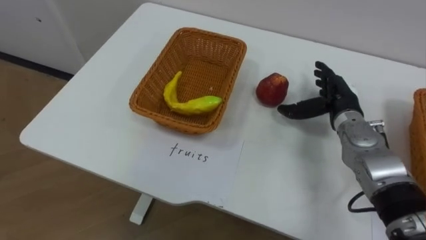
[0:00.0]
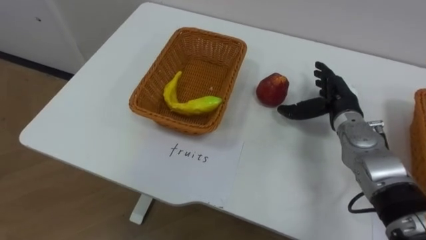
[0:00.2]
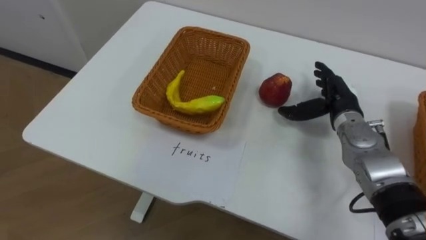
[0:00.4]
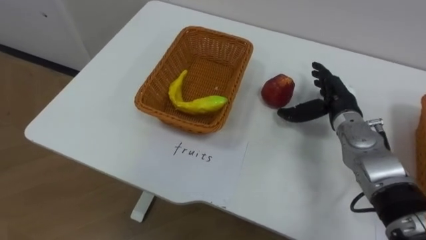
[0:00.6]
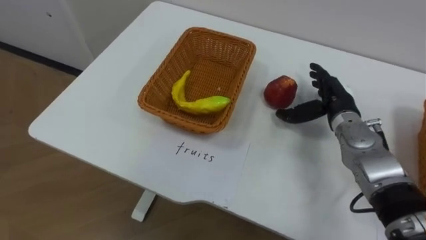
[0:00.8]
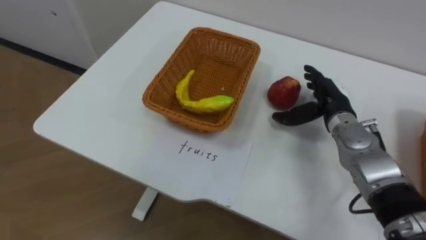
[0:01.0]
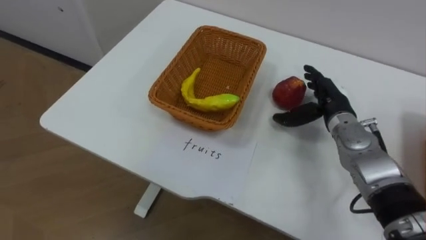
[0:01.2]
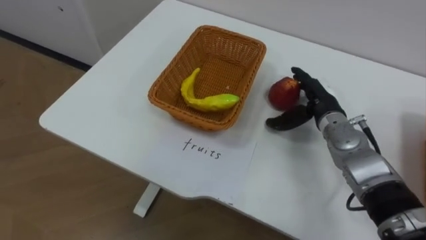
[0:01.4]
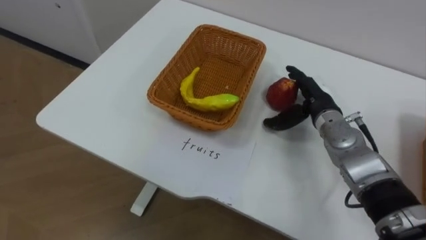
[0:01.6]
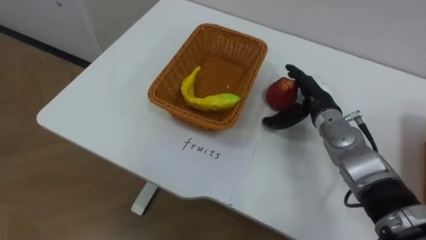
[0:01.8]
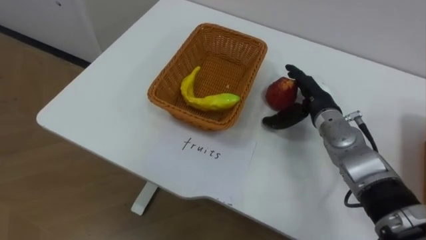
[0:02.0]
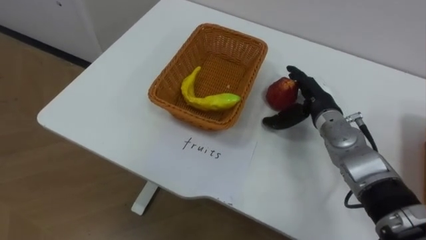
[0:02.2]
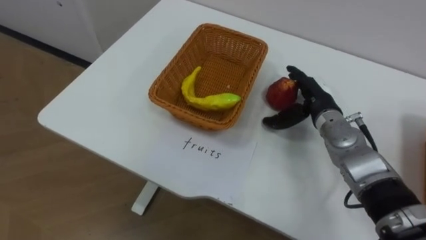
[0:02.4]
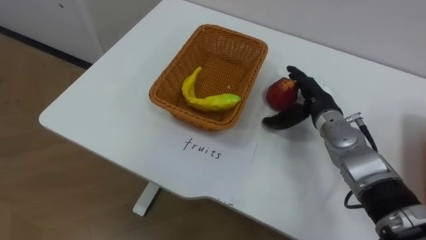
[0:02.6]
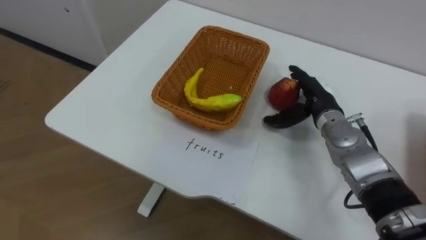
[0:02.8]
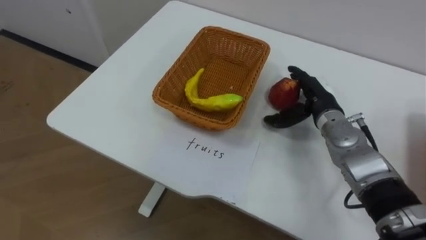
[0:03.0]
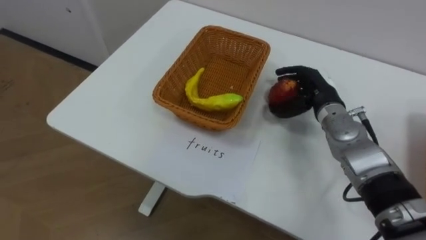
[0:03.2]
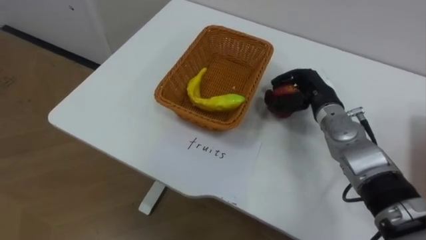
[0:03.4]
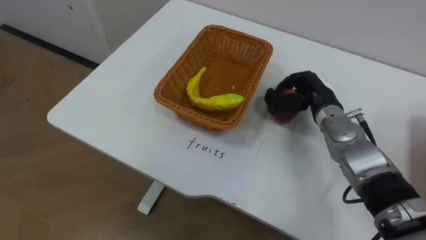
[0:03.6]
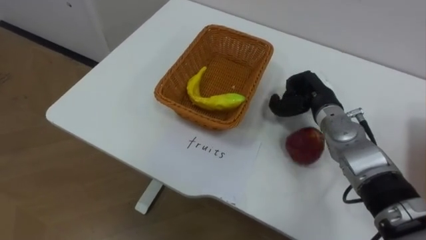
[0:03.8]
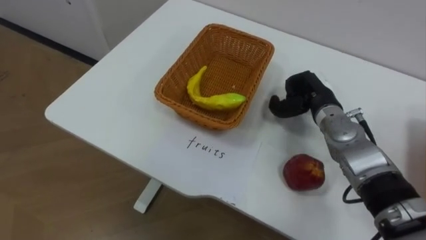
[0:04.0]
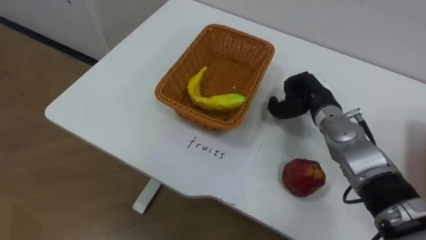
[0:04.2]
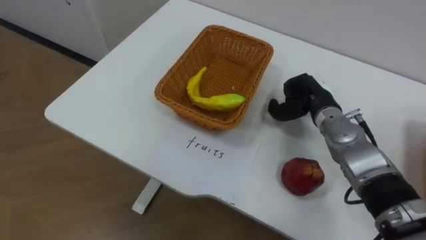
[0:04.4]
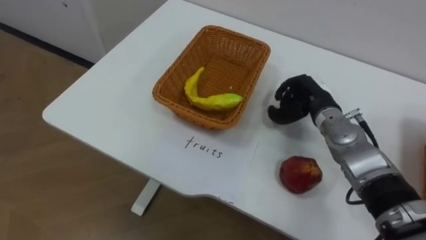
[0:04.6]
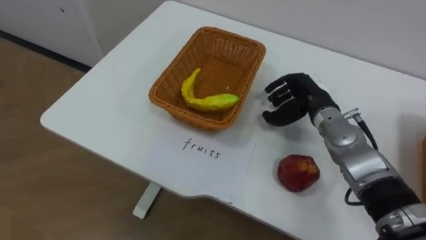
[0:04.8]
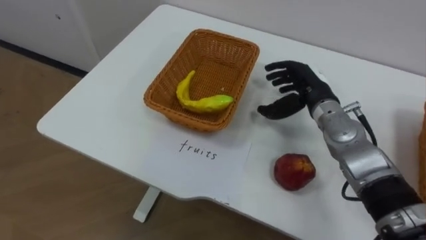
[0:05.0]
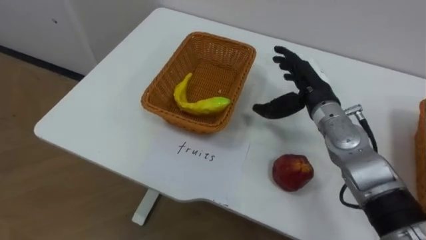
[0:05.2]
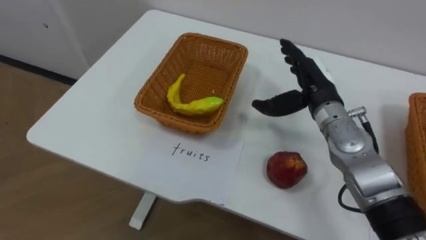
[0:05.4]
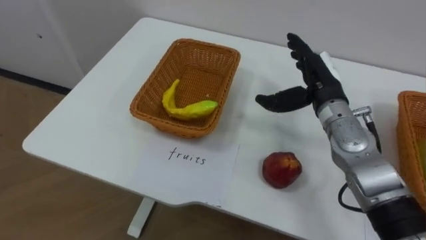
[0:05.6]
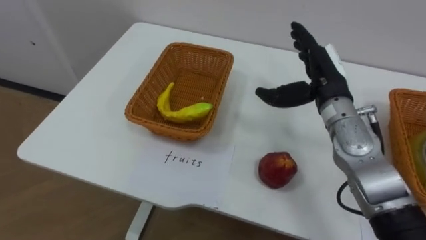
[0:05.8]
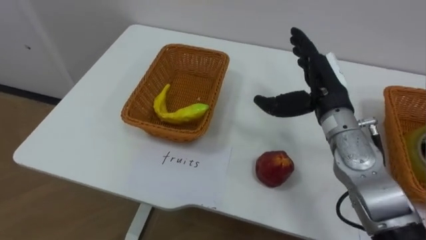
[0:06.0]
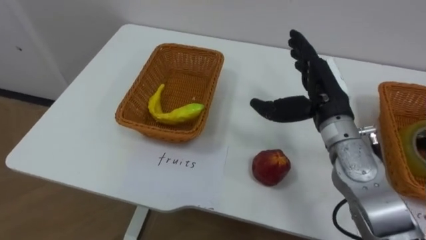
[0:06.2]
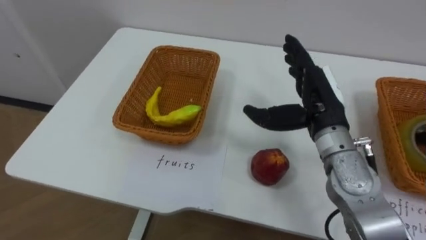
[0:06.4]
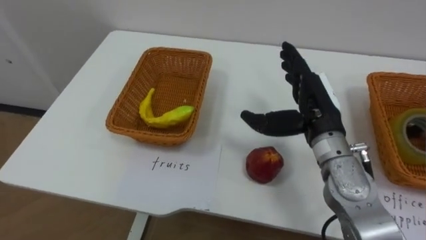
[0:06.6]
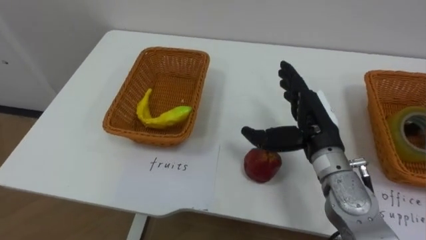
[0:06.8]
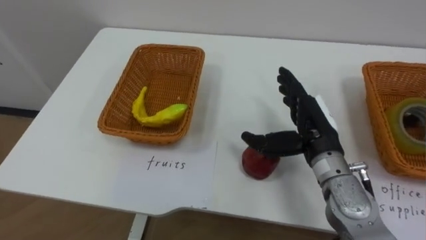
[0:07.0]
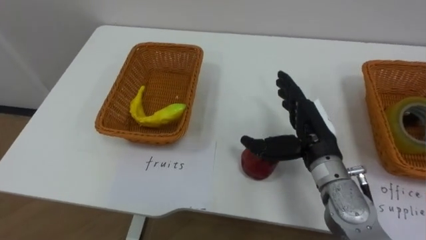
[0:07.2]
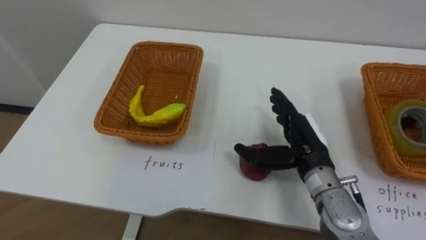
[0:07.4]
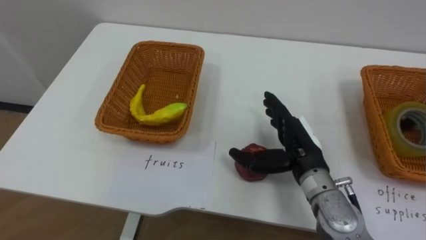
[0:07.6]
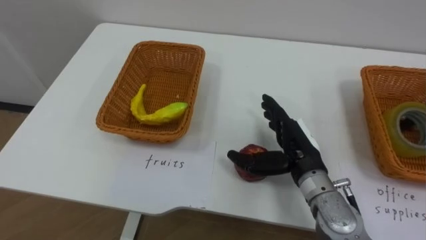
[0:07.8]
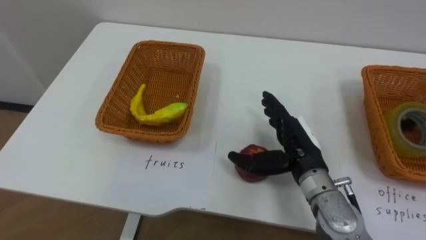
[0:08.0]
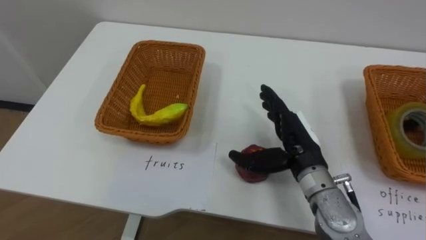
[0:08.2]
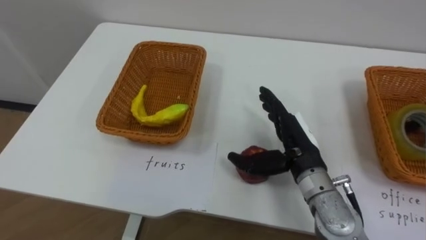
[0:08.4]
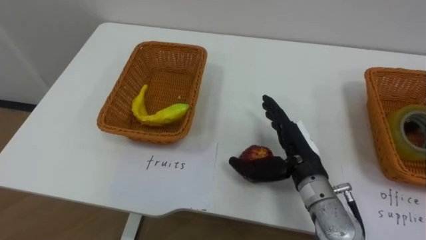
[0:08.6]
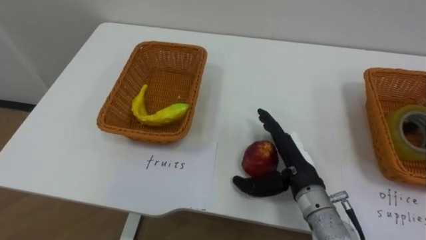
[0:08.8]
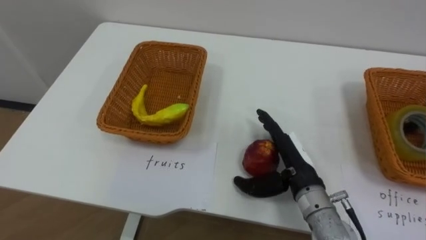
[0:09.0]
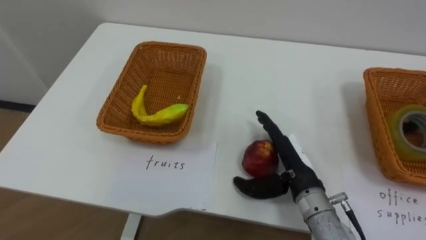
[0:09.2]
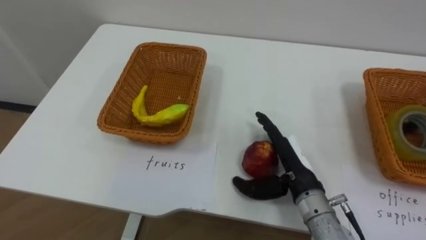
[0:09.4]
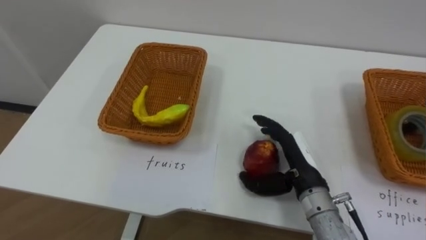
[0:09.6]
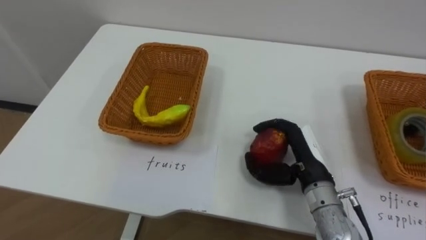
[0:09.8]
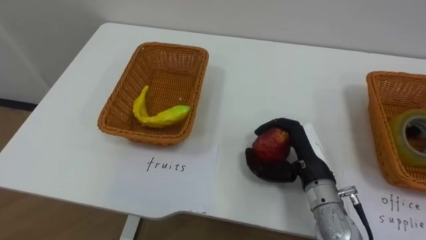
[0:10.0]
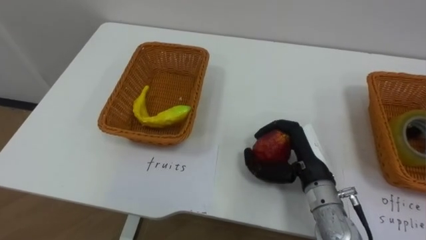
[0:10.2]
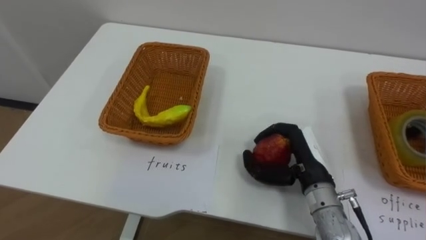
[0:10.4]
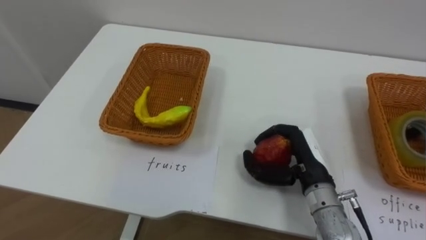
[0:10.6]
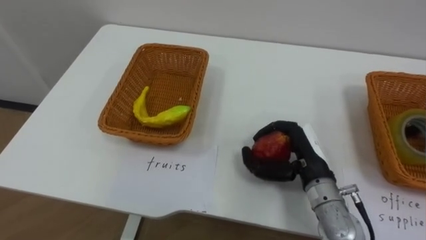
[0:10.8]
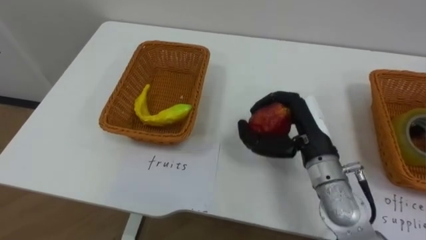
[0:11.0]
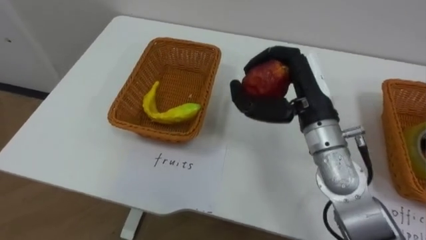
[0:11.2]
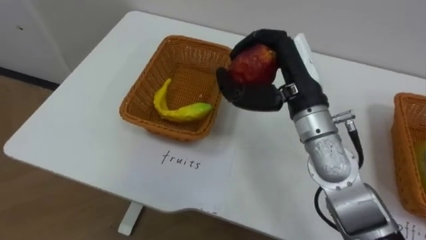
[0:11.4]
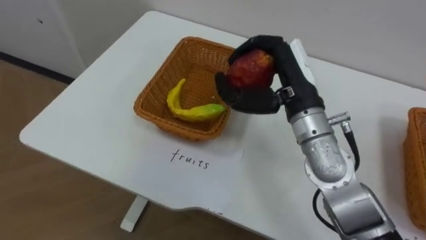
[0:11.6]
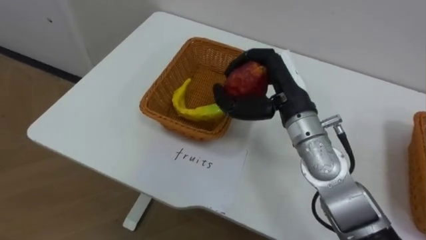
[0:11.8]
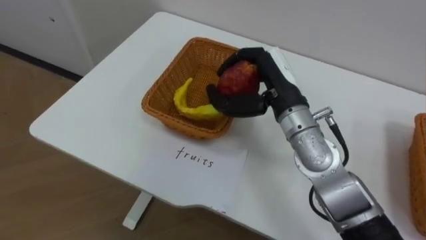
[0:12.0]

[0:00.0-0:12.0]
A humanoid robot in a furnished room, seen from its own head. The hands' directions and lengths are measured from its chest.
Task of the whole recording: Separate the items on the table and place them into the two baskets.
0:03.0 to 0:04.4: The right hand closes up.
0:04.4 to 0:06.0: The right hand shifts approximately 10 cm upward, and opens up.
0:06.0 to 0:07.6: The right hand moves downward and backward, about 10 cm.
0:09.0 to 0:10.4: The right hand closes its fingers.
0:10.4 to 0:12.0: The right hand shifts roughly 15 cm upward, forward and to the left.

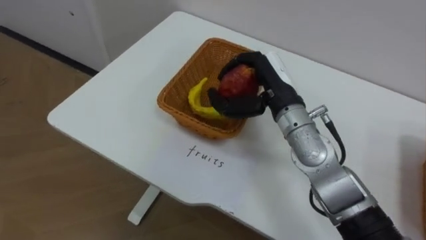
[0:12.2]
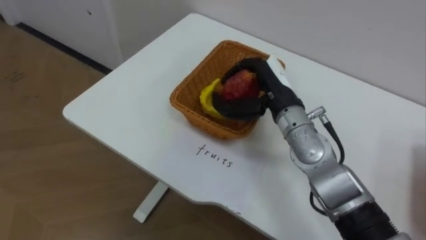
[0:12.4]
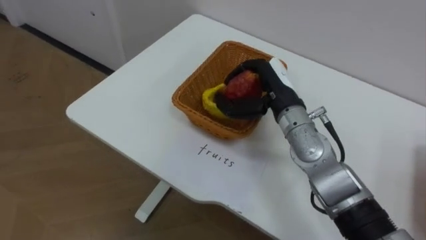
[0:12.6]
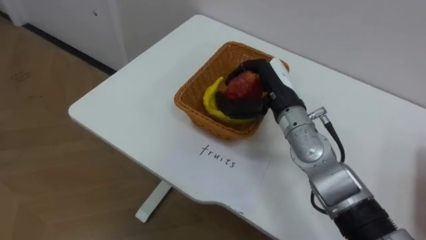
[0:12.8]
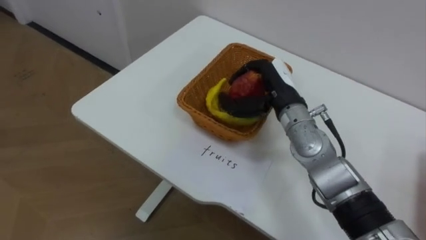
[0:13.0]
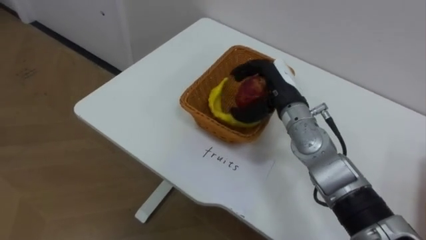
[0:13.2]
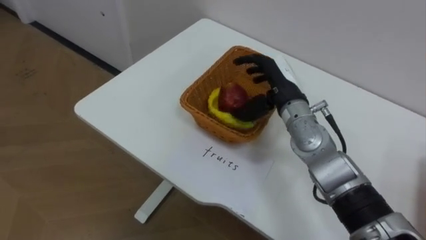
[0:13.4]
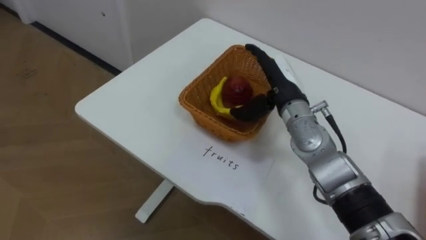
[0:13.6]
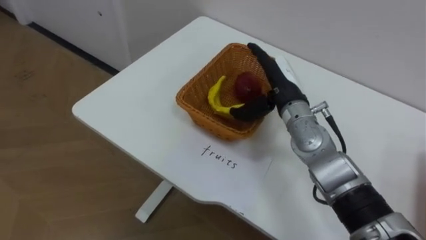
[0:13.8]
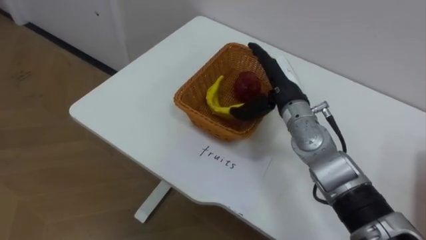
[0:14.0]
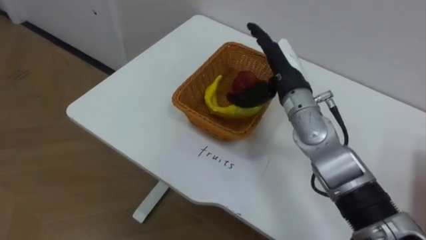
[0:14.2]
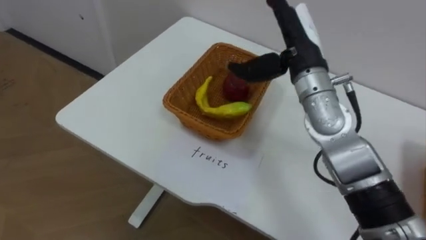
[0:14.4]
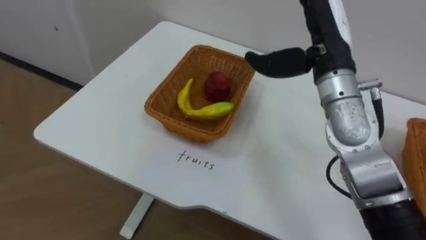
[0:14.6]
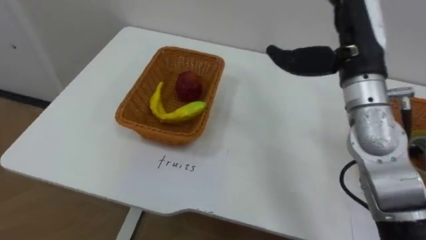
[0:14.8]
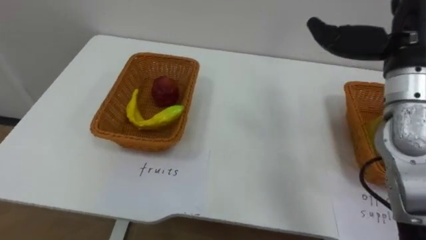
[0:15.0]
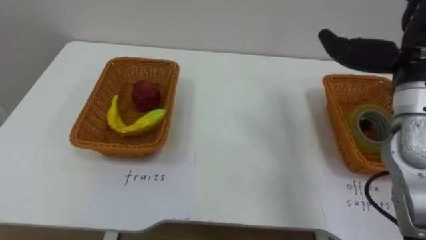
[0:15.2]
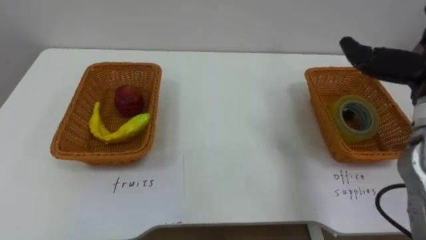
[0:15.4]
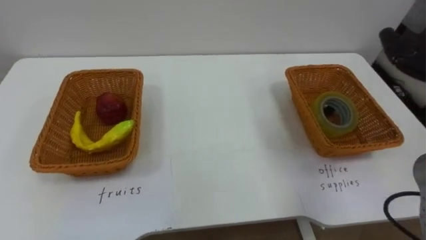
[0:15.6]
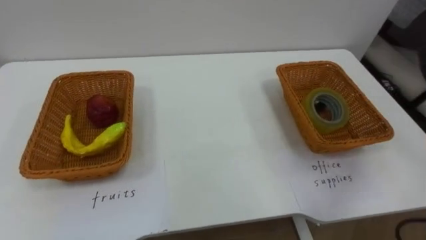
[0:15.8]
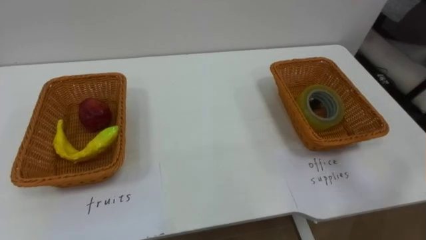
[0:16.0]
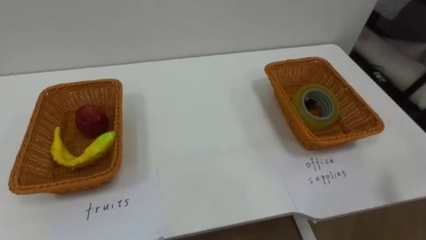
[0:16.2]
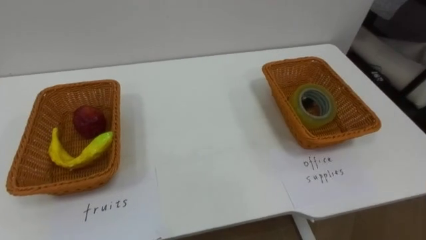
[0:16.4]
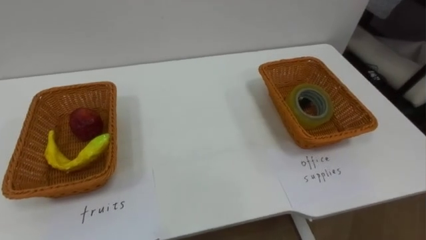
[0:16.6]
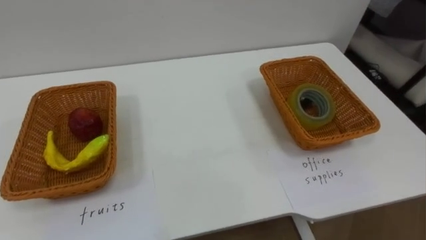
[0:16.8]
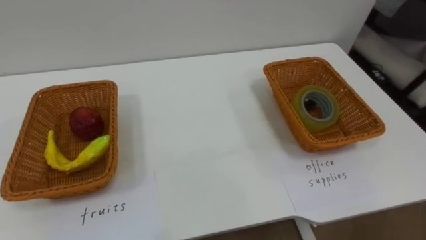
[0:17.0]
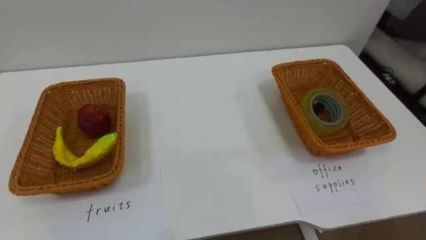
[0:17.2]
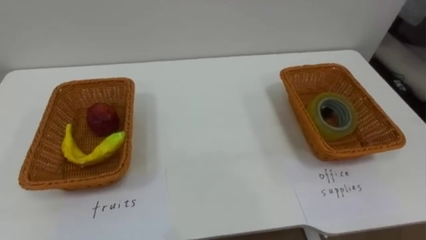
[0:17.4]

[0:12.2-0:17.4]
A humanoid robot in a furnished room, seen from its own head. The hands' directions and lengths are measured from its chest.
Task of the whole recording: Separate the items on the table and place them into the two baskets.
0:12.2 to 0:14.0: The right hand opens.
